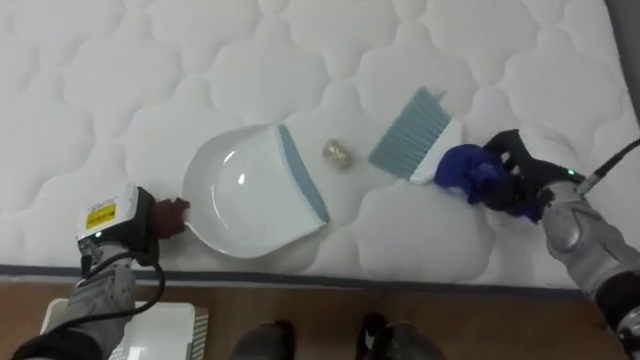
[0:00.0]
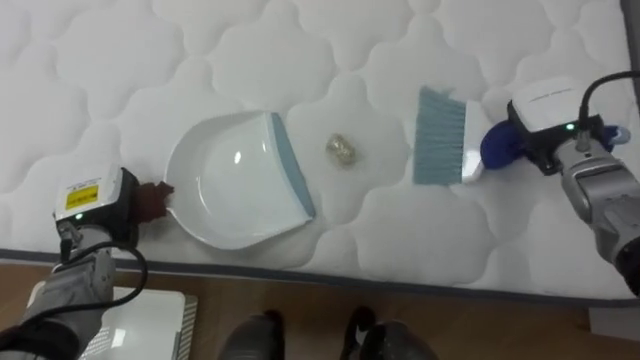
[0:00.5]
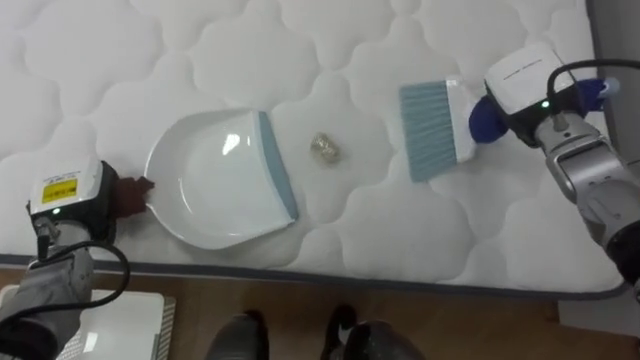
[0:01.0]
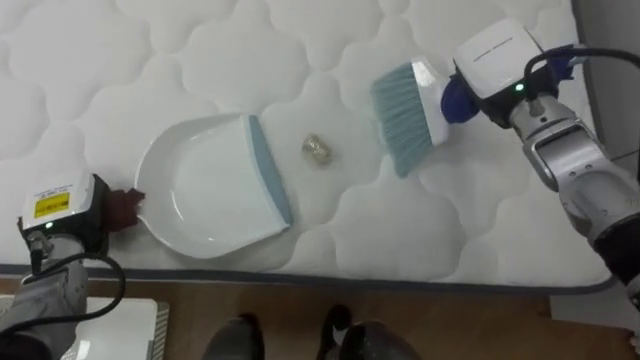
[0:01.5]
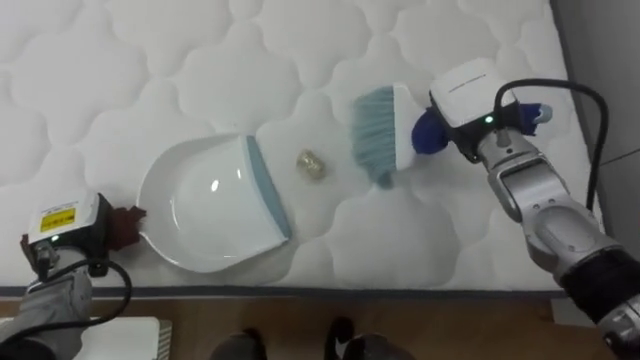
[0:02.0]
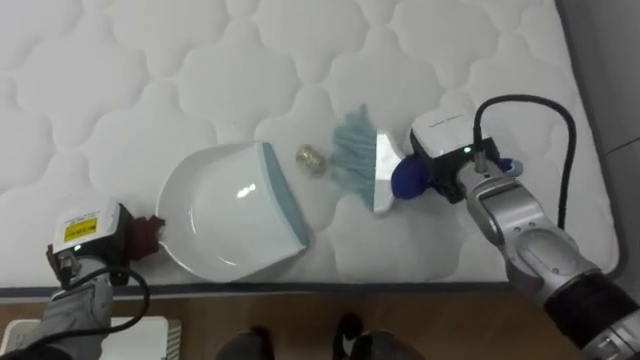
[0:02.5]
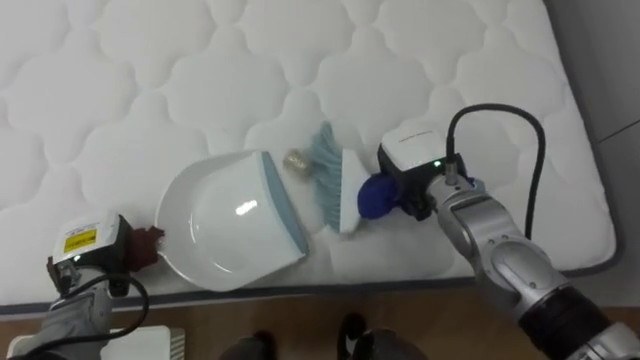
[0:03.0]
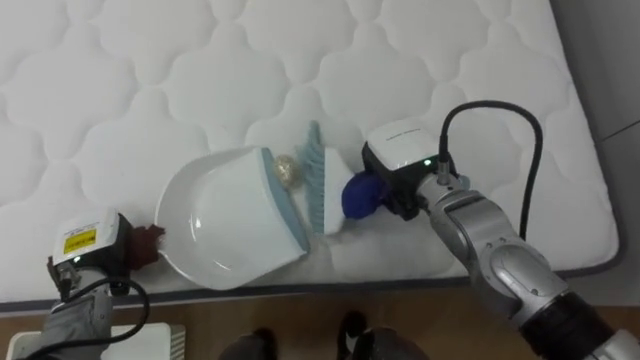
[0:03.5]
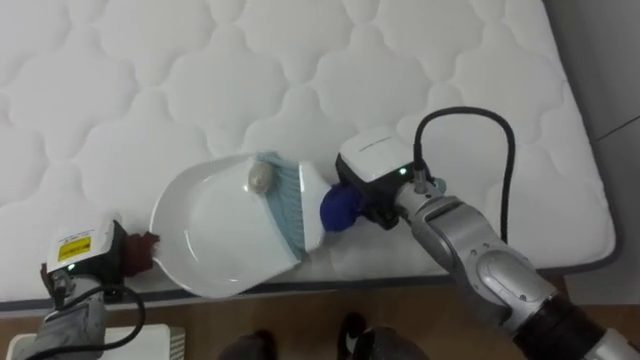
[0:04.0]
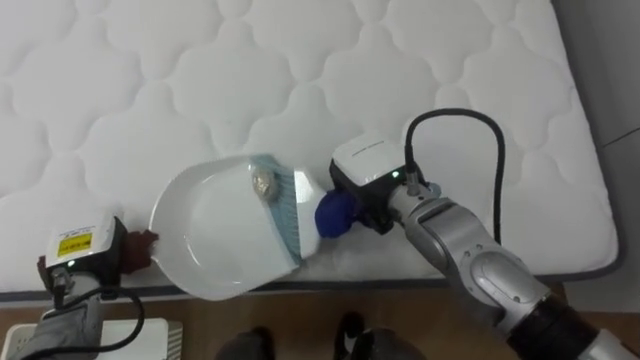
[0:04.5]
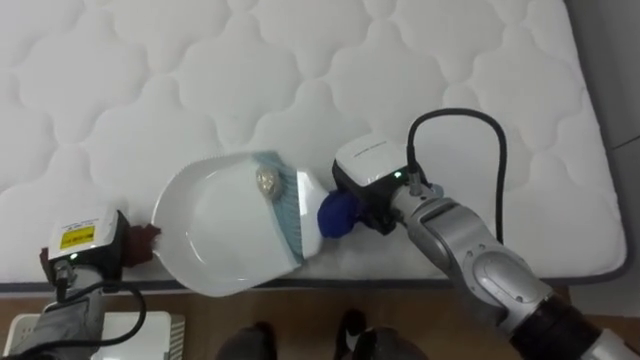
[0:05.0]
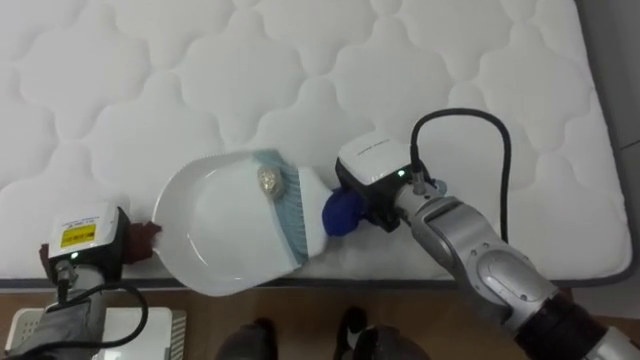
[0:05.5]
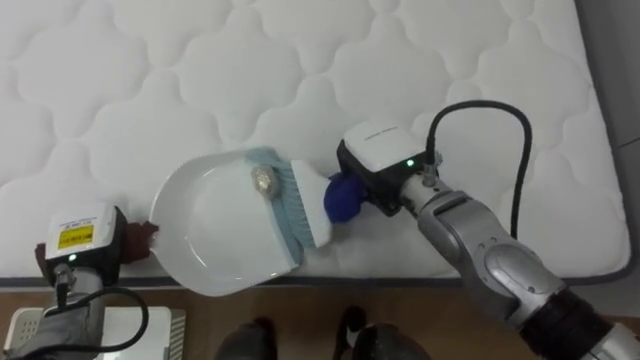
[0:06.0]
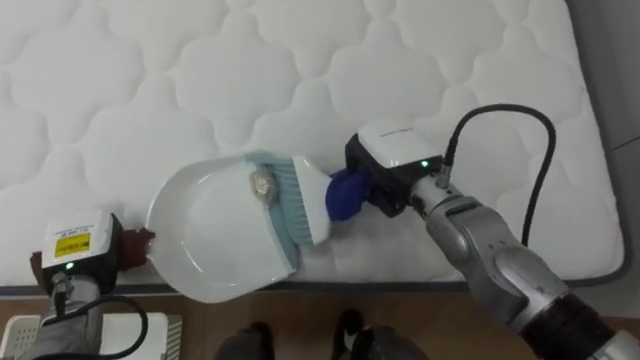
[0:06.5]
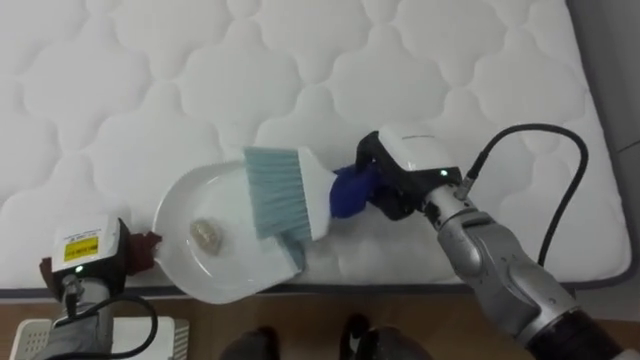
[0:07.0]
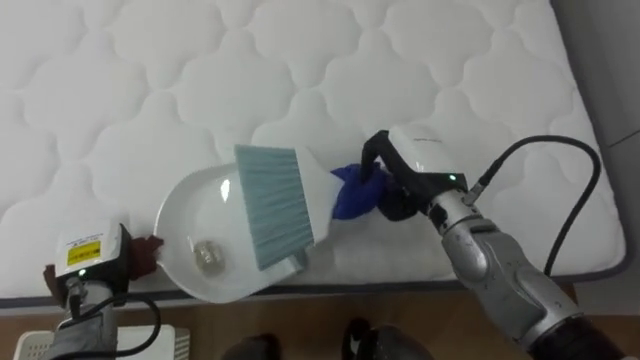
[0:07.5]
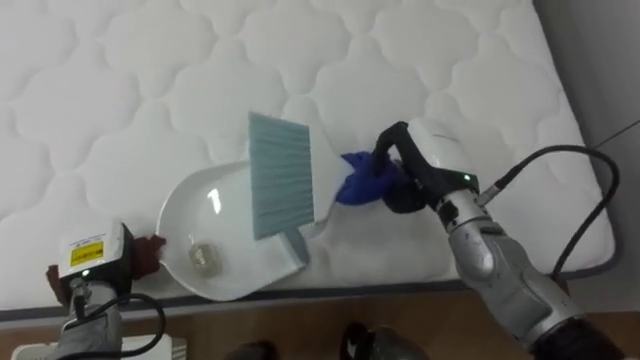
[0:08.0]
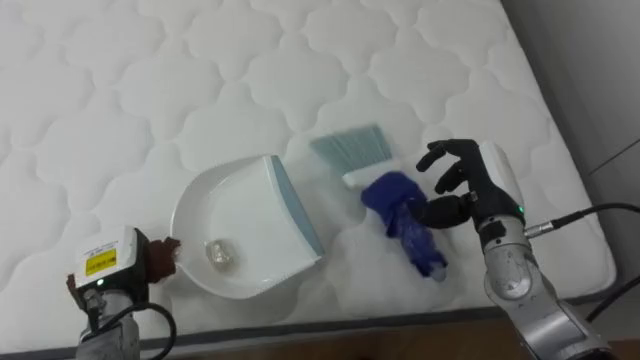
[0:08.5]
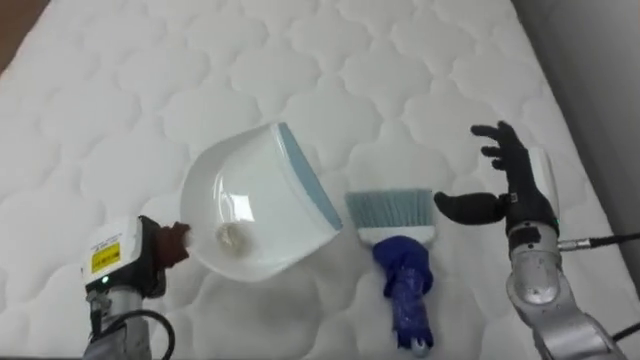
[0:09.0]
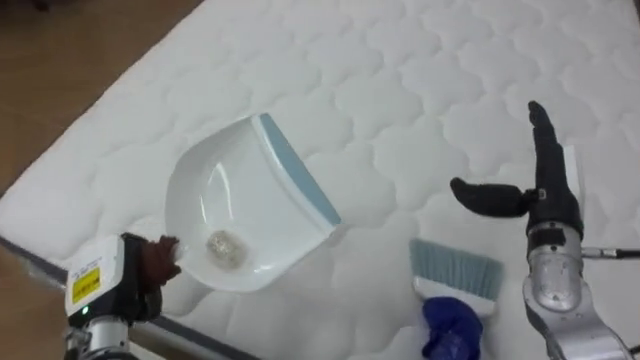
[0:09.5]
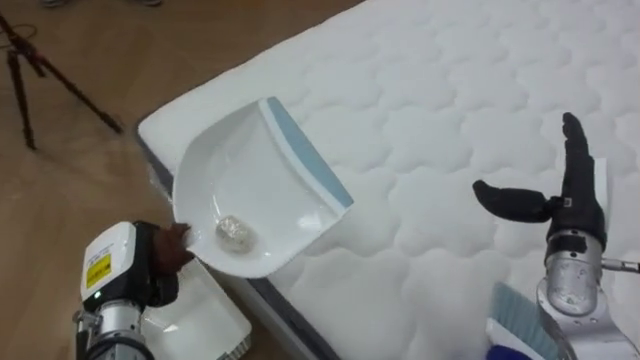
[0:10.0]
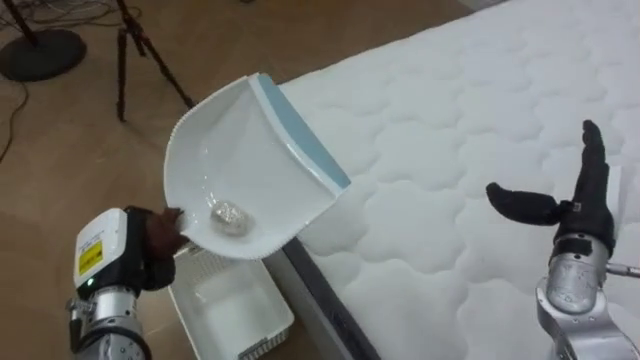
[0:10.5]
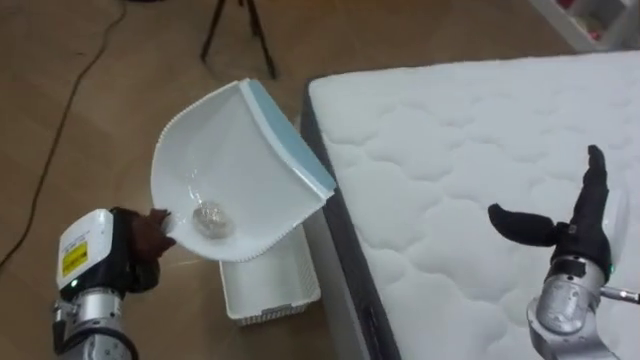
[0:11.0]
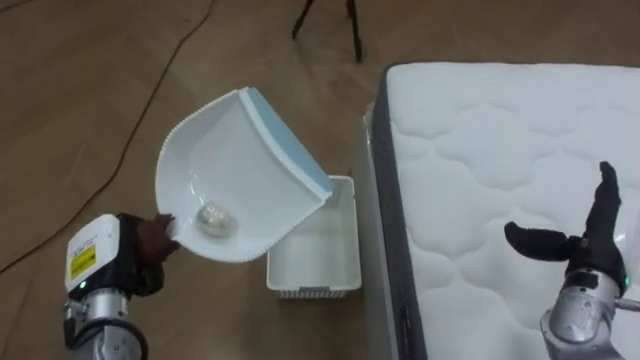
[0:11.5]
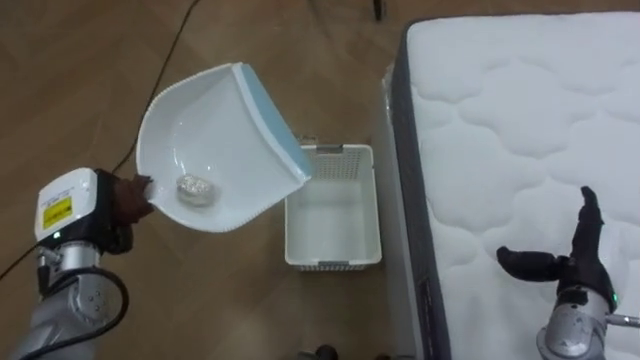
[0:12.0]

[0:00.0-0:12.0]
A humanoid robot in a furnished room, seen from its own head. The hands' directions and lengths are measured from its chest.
Task of the whole recording: Pick up the brush on your right and the dustpan on your left. Use the brush to sweep the crumpled paper on the bed into the dustpan, then turn left and empty it into the basket.
0:00.0 to 0:02.0: The right hand goes about 15 cm to the left and upward; the left hand travels to the left by roughly 5 cm.
0:02.0 to 0:04.0: The right hand shifts some 15 cm to the left and backward.
0:04.0 to 0:06.0: The hands stay close to where they were, moving slightly.
0:06.0 to 0:08.0: The right hand travels to the right by some 5 cm.
0:08.0 to 0:10.0: The robot rotates some 50 degrees to its left. The right hand travels to the right by about 15 cm, and opens up. The left hand ends up roughly 5 cm from where it was.
0:10.0 to 0:12.0: The robot faces some 45 degrees further to its left. The right hand travels downward by approximately 5 cm. The left hand moves forward, about 5 cm.

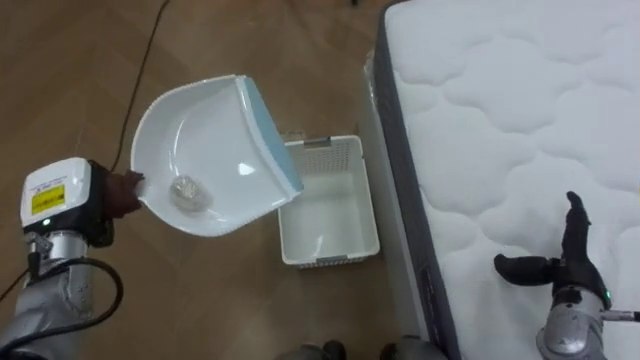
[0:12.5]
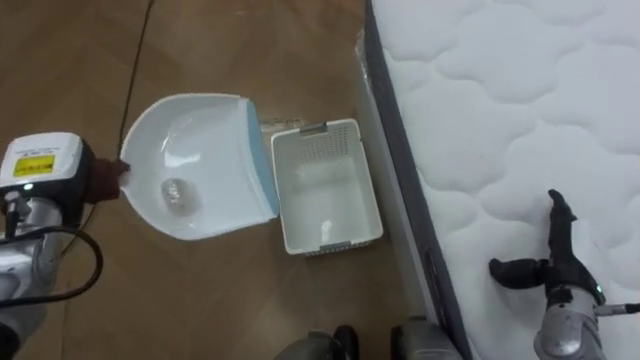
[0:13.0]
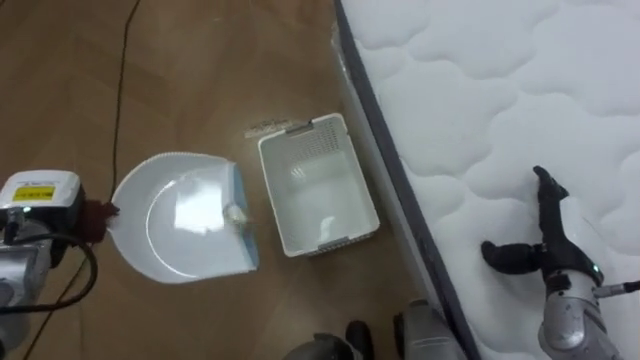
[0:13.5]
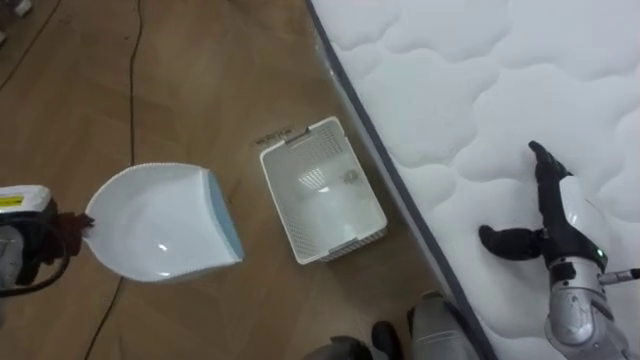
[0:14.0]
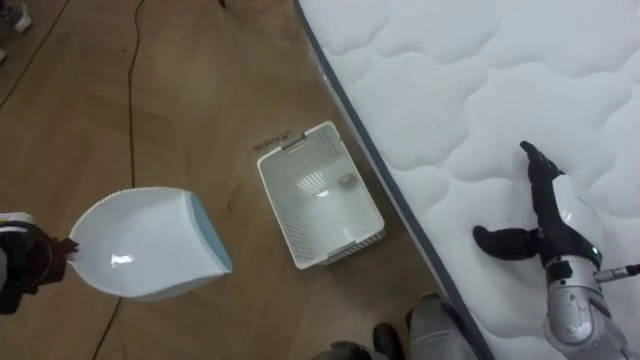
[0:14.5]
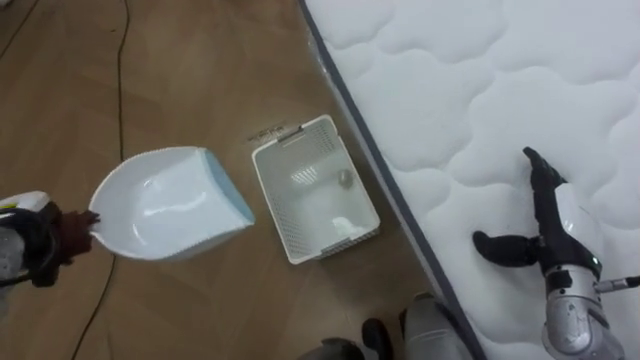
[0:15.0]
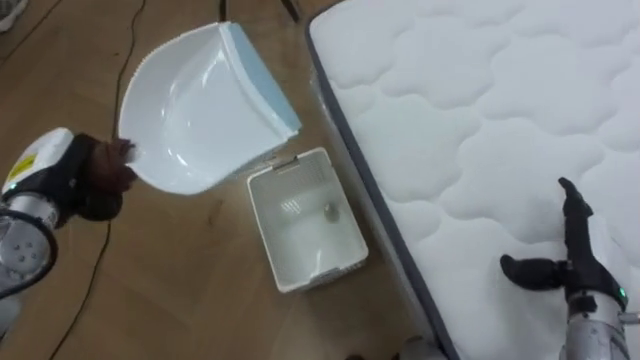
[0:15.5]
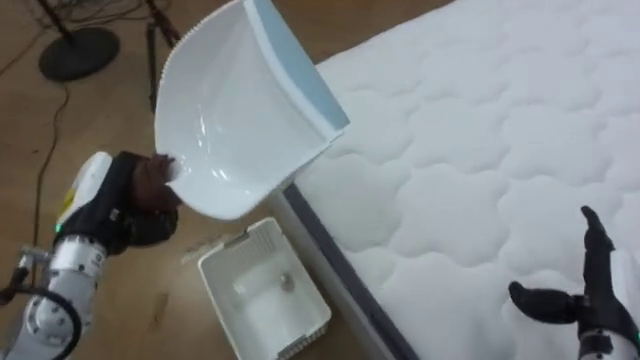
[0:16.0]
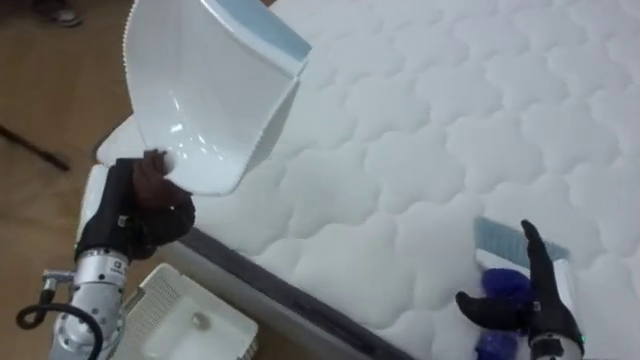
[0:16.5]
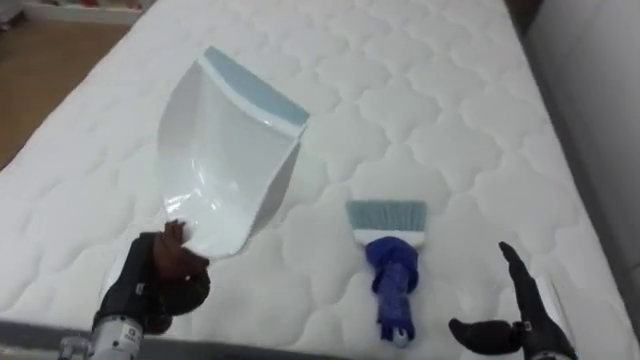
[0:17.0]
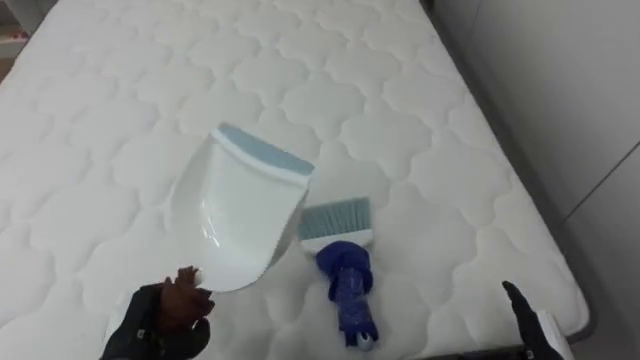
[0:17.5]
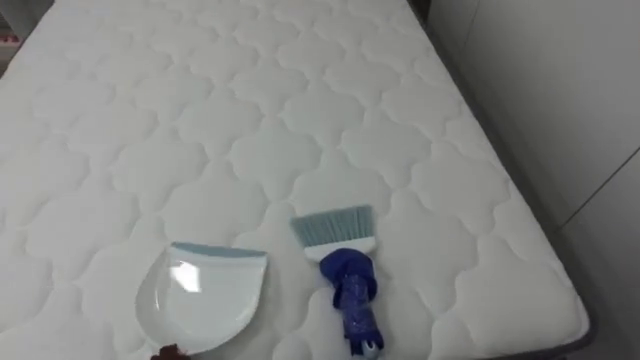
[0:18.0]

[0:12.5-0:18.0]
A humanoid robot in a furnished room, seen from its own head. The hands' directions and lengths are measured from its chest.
Task of the whole recording: Pick up the brush on your right and the dustpan on your left. Use the brush to sweep the crumpled paper on the bed into the dustpan, then turn left and empty it into the basket.
0:12.5 to 0:14.5: The left hand goes about 10 cm to the left. The right hand moves roughly 5 cm.
0:14.5 to 0:16.0: The right hand is displaced backward by approximately 10 cm, while the left hand travels to the right and upward by approximately 15 cm.
0:16.0 to 0:18.0: The robot faces some 70 degrees further to its right.

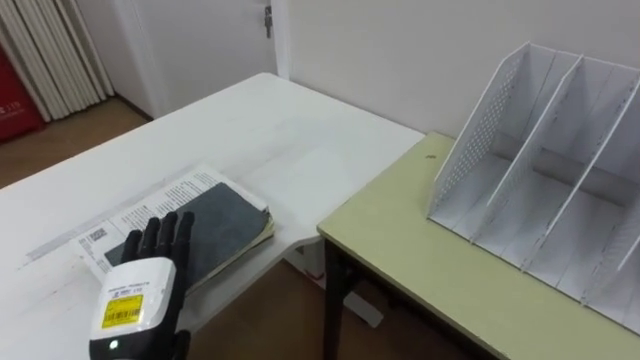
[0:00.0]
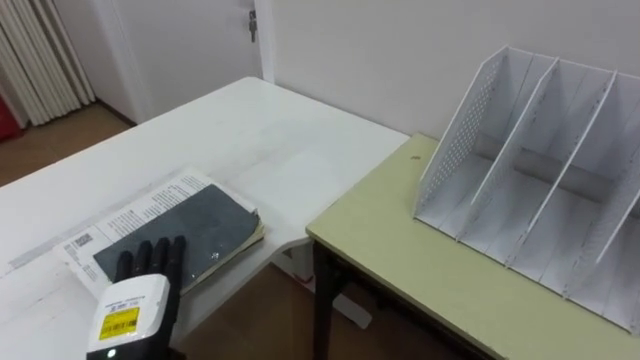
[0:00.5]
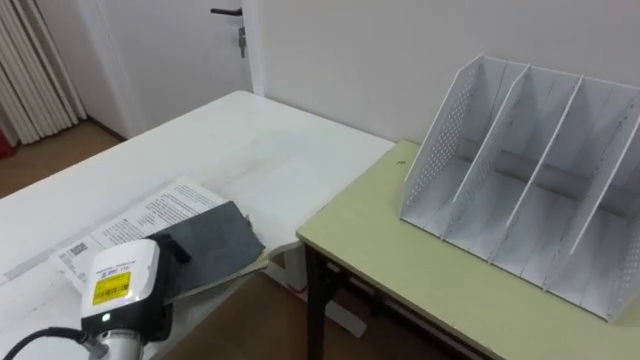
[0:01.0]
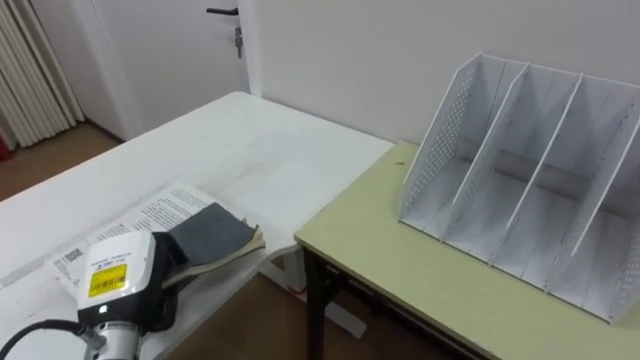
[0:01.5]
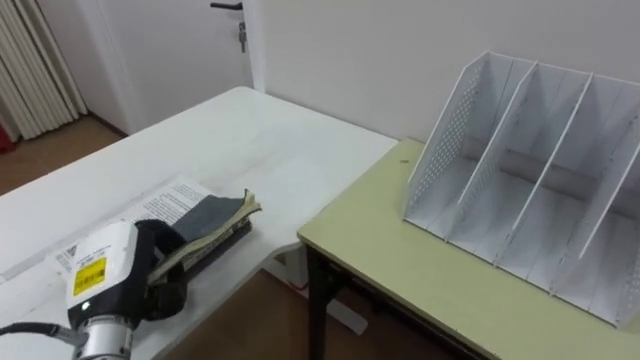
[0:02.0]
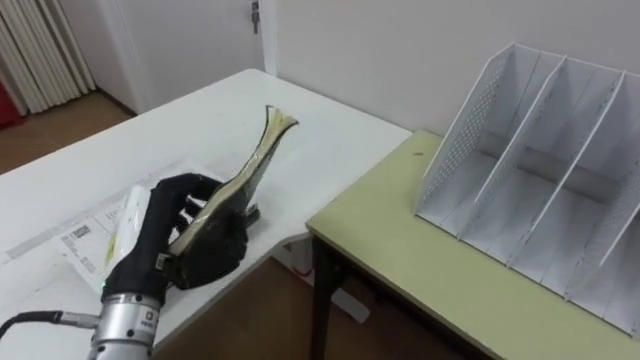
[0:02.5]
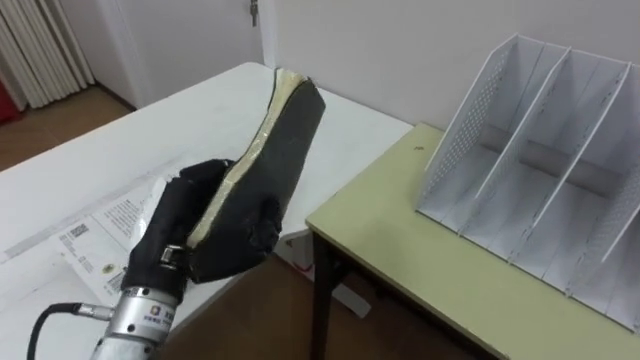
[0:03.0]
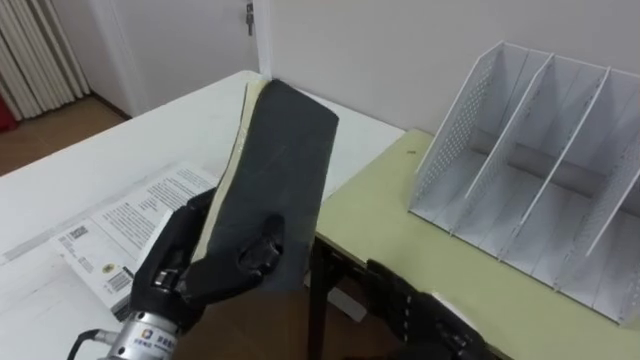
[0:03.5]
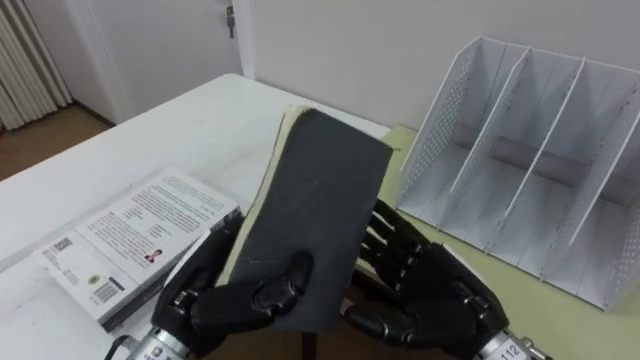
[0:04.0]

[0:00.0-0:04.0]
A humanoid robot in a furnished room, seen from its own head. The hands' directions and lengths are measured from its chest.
Task of the whole recording: Put the books on the table onto the bookshelf.
0:00.0 to 0:02.0: The left hand closes up.
0:02.0 to 0:04.0: The left hand heads to the right, covering roughly 10 cm.
